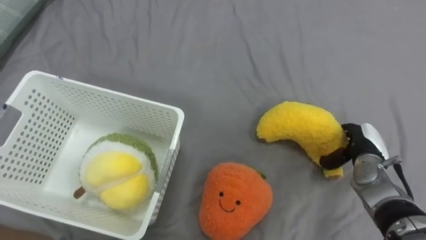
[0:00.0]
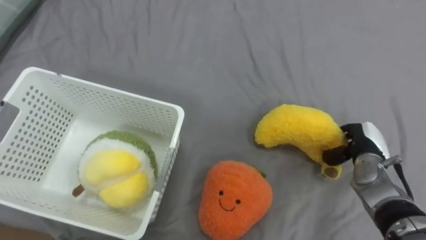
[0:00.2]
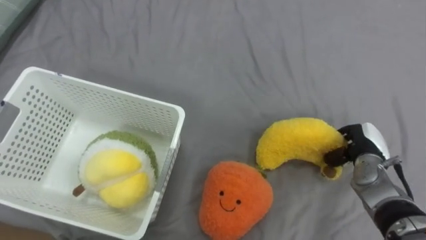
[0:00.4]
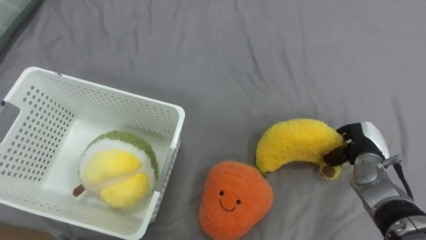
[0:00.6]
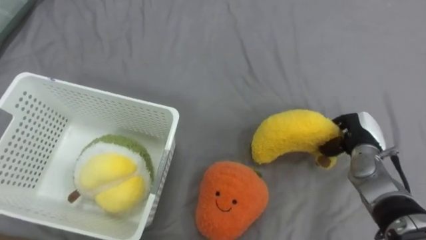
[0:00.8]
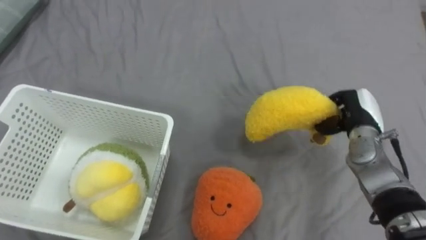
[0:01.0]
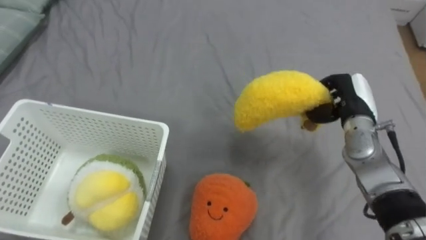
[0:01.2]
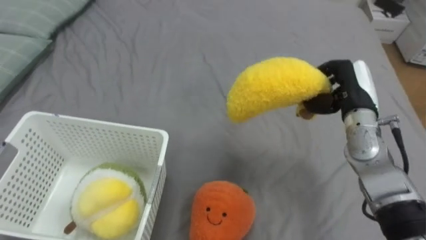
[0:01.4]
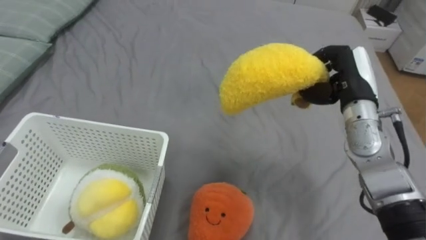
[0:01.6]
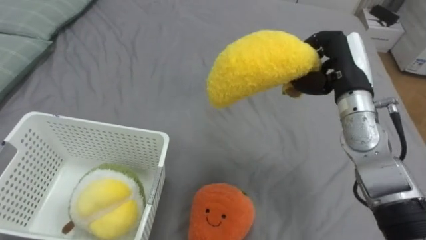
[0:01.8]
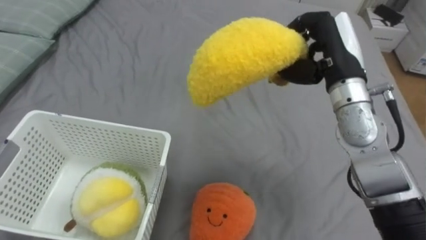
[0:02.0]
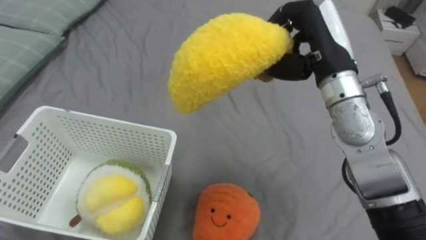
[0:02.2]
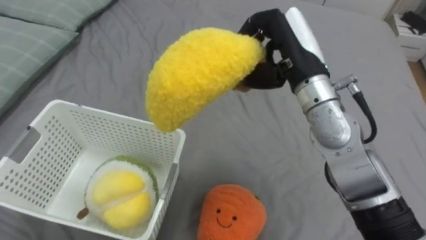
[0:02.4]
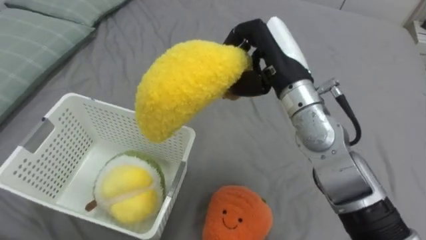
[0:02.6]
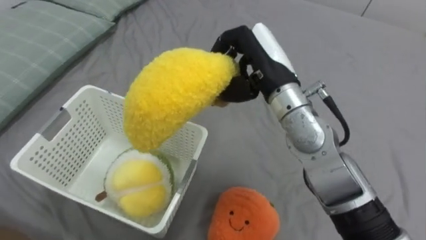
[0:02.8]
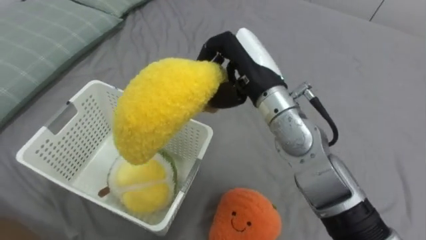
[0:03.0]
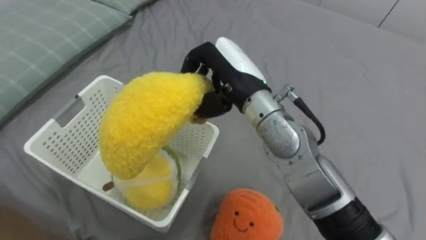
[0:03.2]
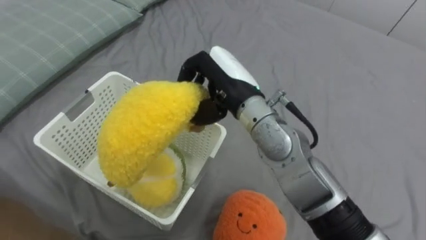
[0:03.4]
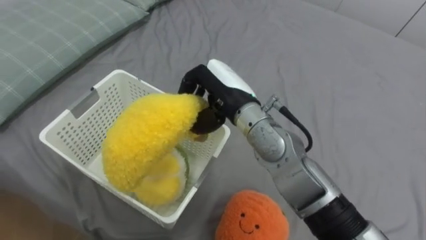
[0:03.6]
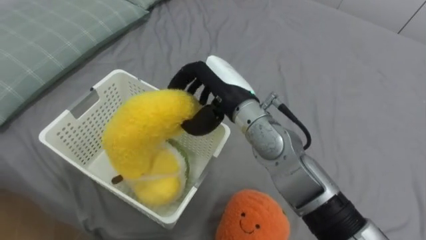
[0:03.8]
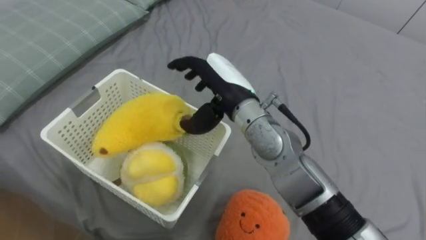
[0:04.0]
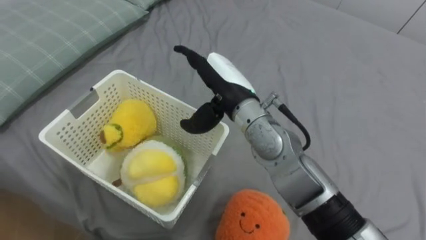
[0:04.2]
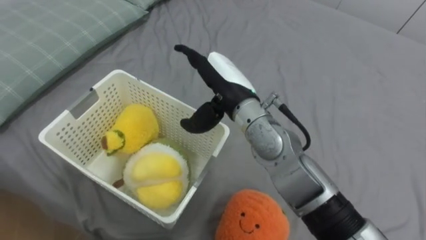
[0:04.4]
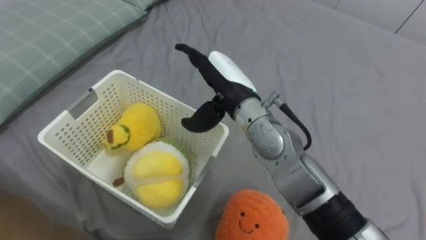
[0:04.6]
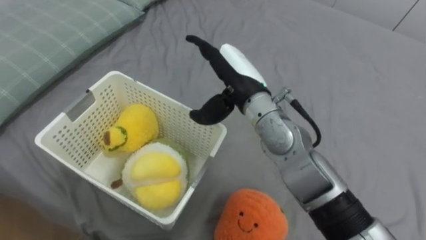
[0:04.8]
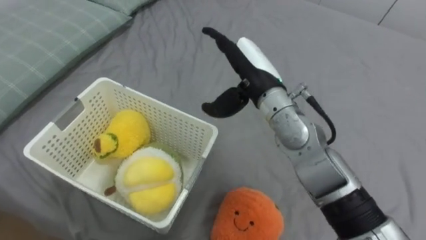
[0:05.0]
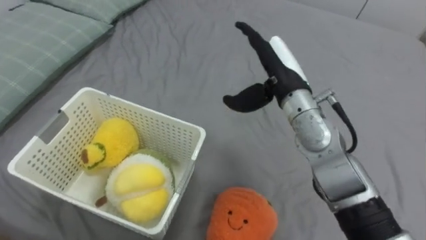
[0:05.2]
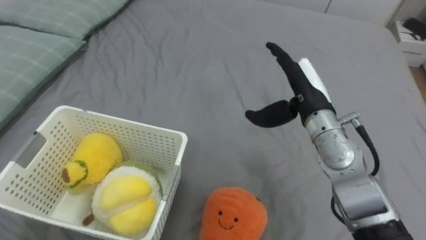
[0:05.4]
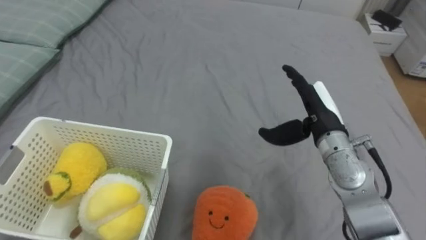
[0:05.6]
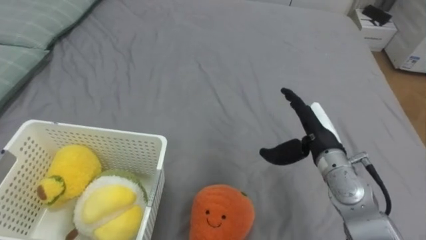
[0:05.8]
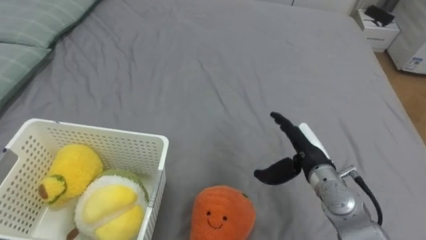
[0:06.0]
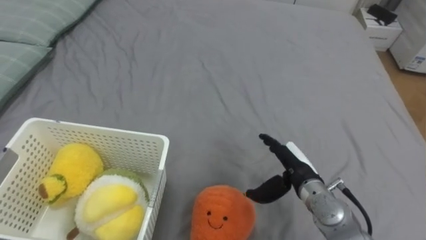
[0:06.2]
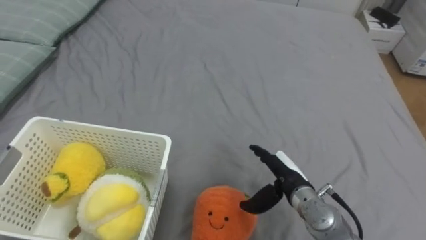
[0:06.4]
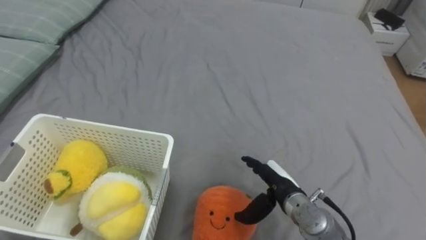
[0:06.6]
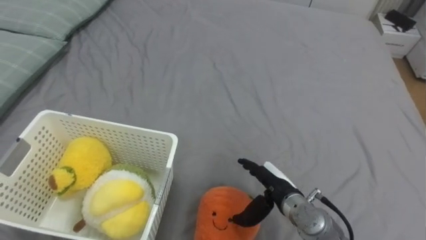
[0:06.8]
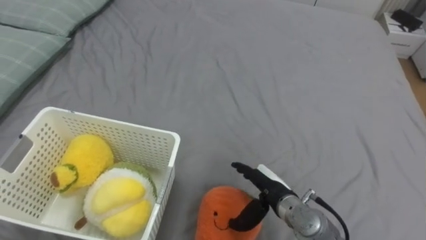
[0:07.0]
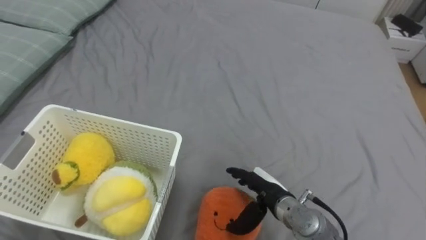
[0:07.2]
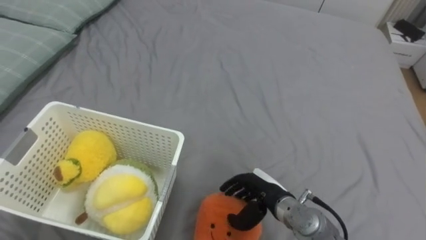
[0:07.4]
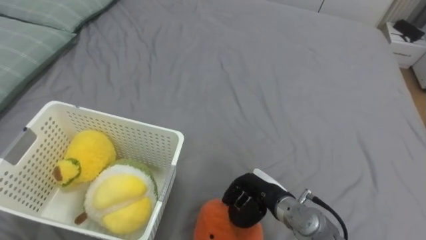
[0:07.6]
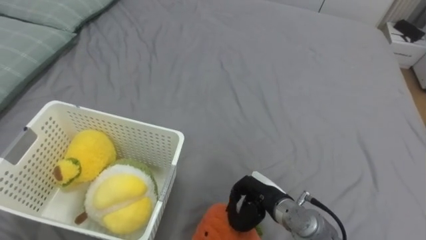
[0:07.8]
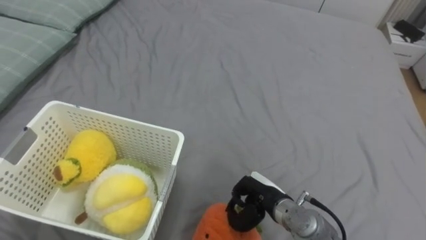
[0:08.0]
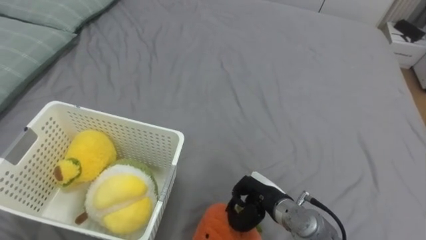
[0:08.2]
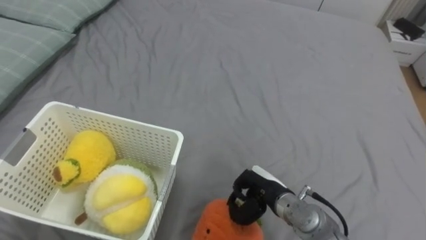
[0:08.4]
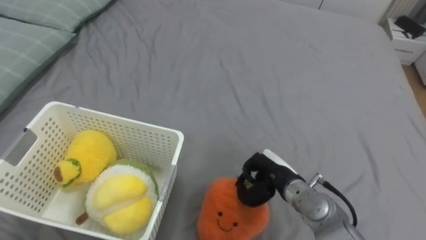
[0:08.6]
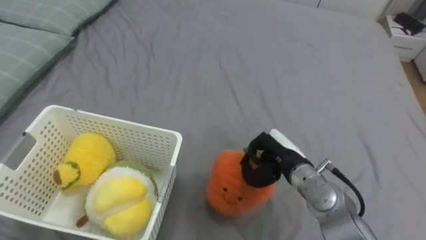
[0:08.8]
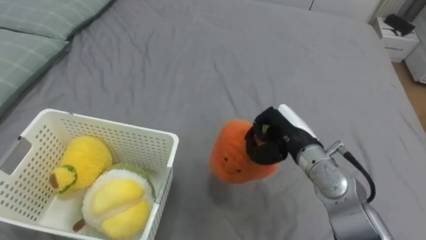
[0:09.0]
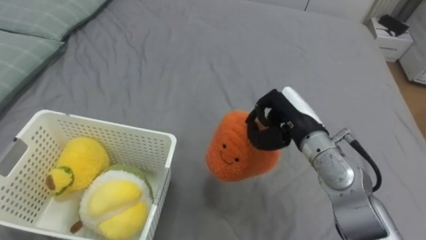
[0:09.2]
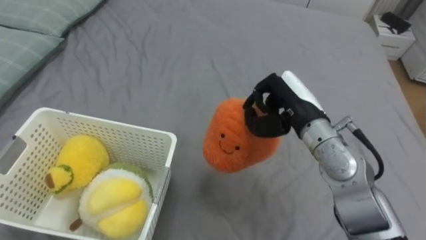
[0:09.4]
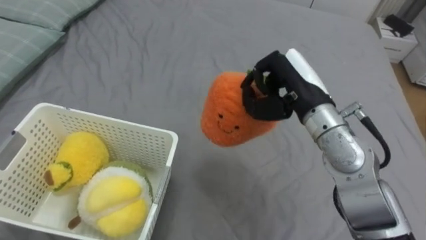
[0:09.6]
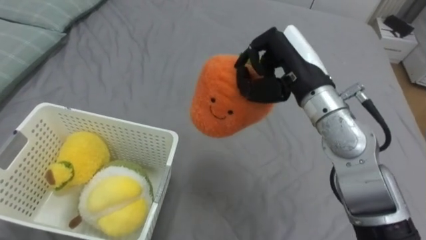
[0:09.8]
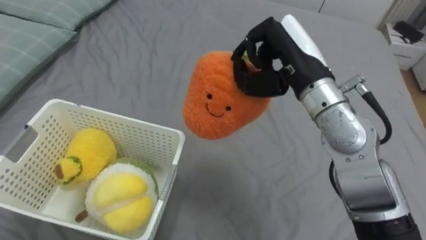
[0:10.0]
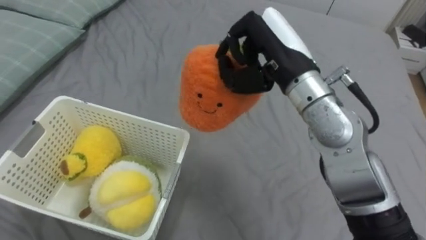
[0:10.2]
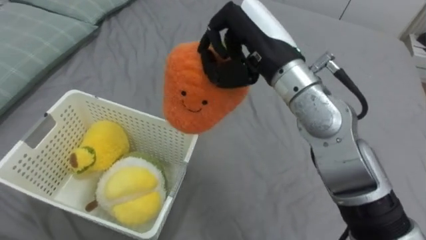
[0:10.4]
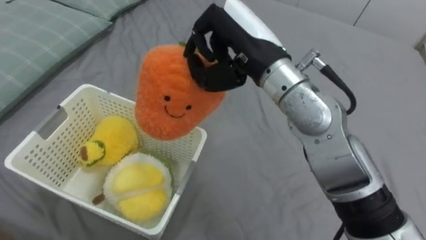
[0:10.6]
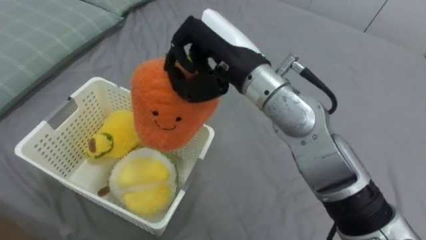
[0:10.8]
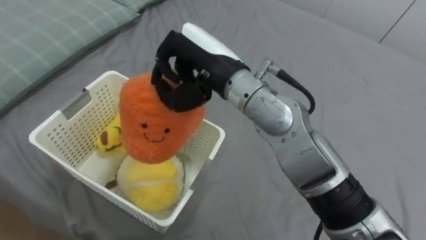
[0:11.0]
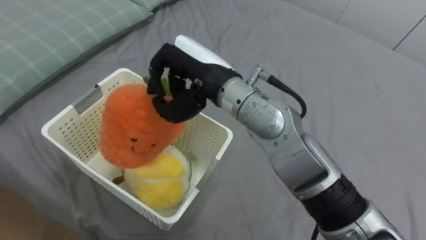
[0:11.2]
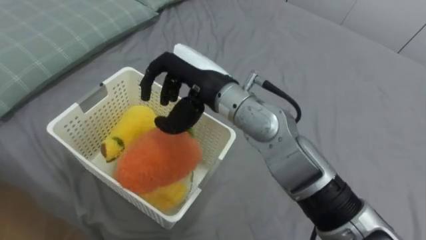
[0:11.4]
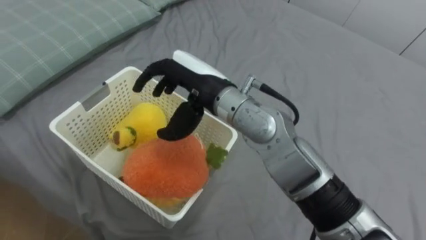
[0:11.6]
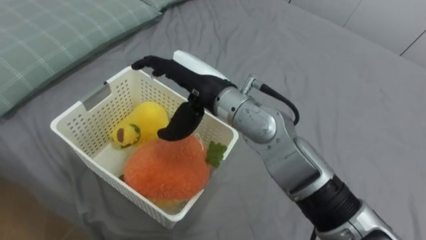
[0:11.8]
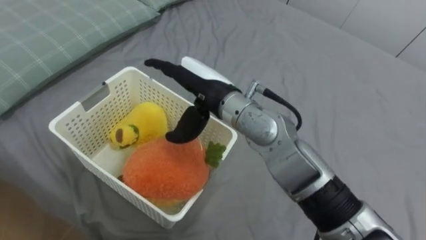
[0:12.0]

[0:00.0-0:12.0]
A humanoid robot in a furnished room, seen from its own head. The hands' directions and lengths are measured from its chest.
Task of the whole recording: Put the toys on the bed into the basket on the left.
0.0 to 1.6 s: The right hand goes approximately 15 cm upward and to the left, and closes up.
1.6 to 3.0 s: The right hand travels to the left by about 20 cm.
3.0 to 4.4 s: The right hand shifts by roughly 5 cm, and opens its fingers.
4.4 to 6.0 s: The right hand heads to the right and downward, covering about 20 cm.
6.0 to 7.6 s: The right hand is displaced downward, to the left and backward by some 10 cm, and closes up.
7.6 to 9.0 s: The right hand moves upward and forward, roughly 15 cm.
9.0 to 10.4 s: The right hand is displaced upward and to the left by about 20 cm.
10.4 to 12.0 s: The right hand shifts roughly 10 cm to the left and downward, and opens.

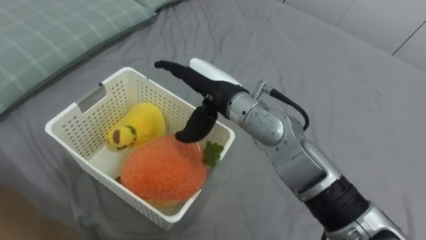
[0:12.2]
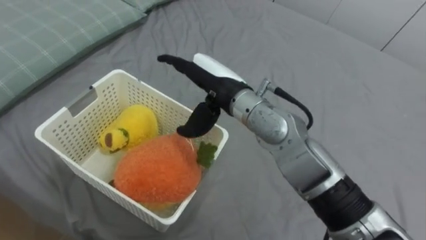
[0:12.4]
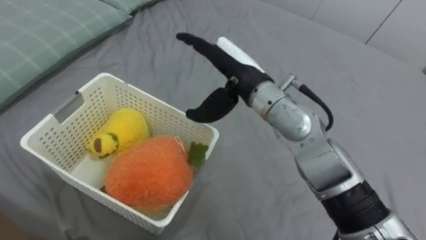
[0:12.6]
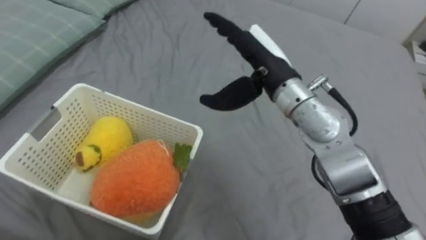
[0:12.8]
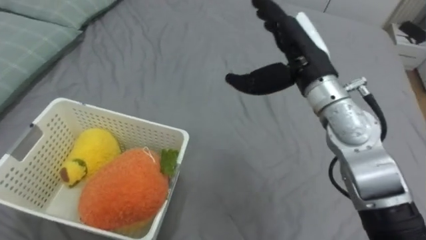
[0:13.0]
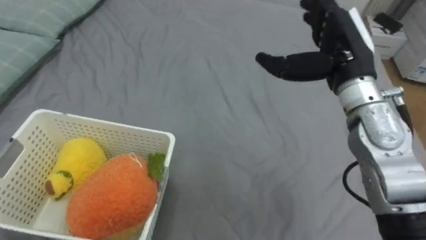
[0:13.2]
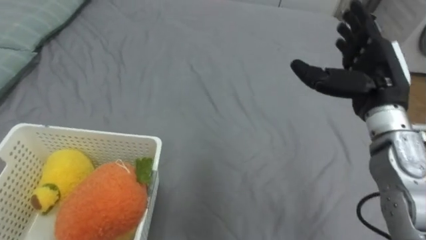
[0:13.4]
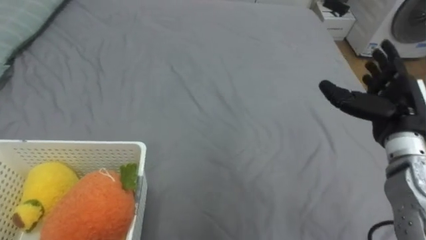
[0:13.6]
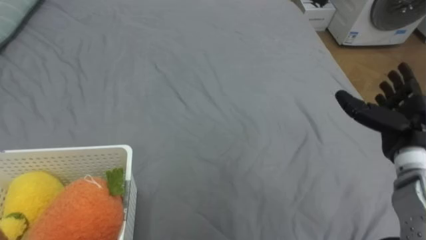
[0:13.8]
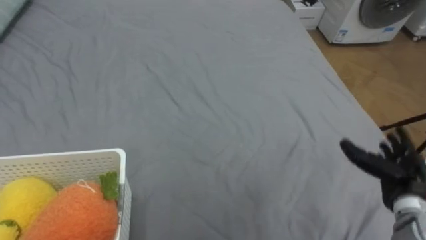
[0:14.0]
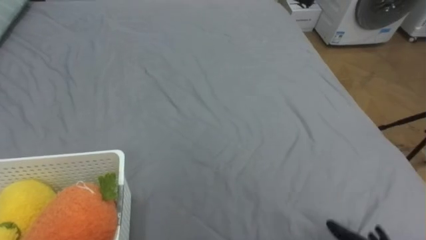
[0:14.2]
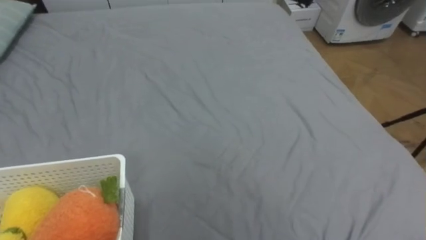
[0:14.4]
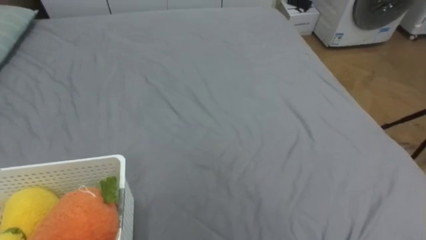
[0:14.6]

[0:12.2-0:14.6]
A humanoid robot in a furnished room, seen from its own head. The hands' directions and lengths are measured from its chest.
Task of the whole recording: Put the toys on the bed into the basket on the left.
12.2 to 13.4 s: The right hand heads to the right, covering about 25 cm.

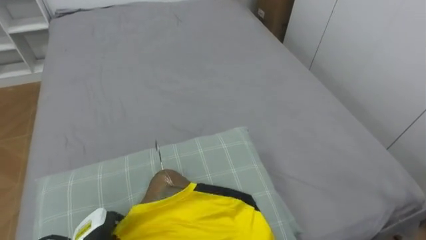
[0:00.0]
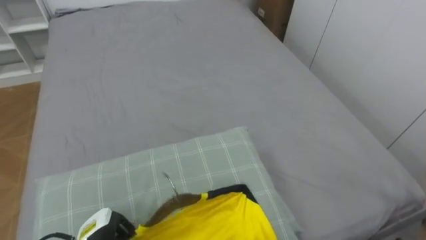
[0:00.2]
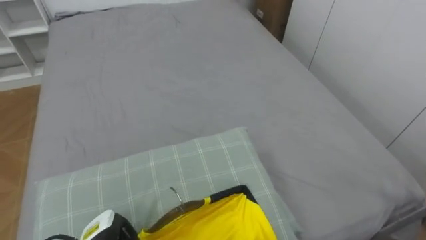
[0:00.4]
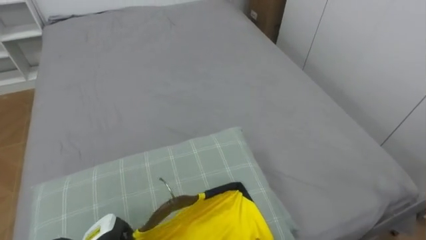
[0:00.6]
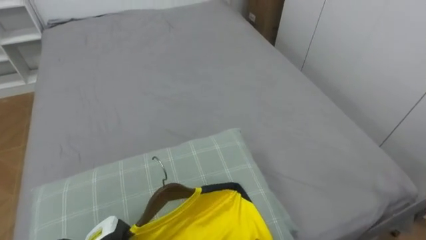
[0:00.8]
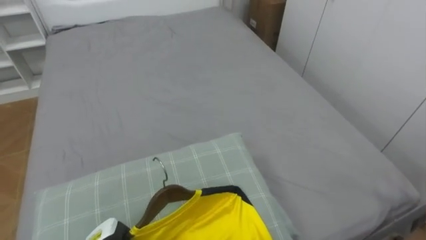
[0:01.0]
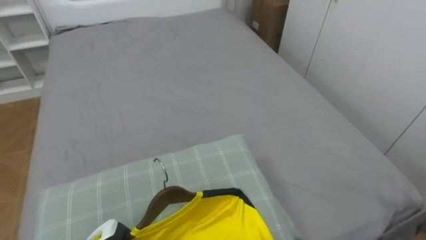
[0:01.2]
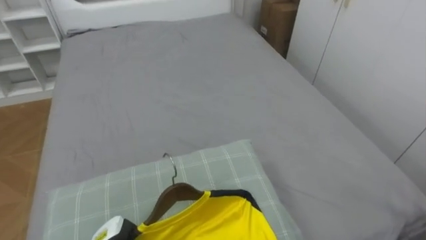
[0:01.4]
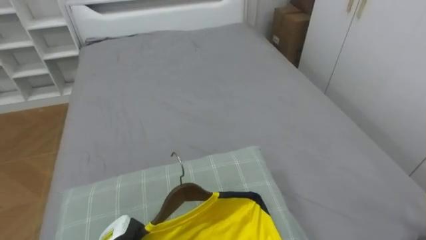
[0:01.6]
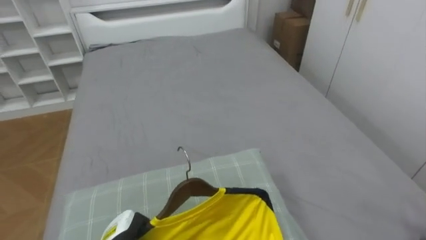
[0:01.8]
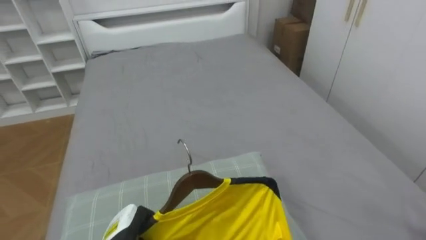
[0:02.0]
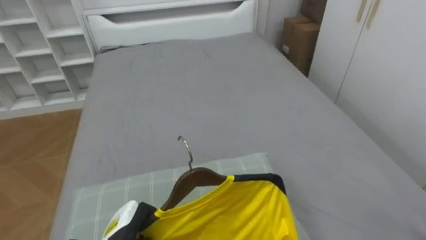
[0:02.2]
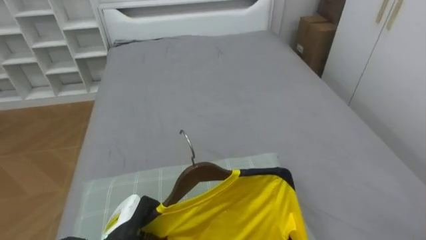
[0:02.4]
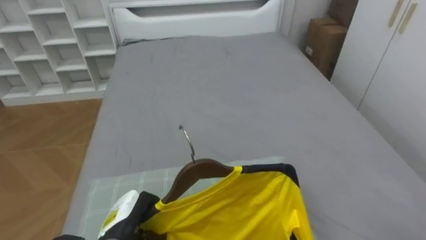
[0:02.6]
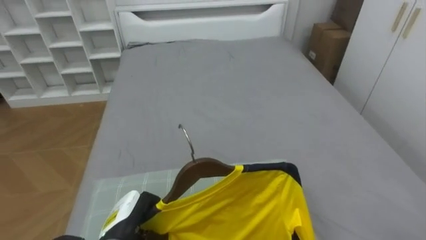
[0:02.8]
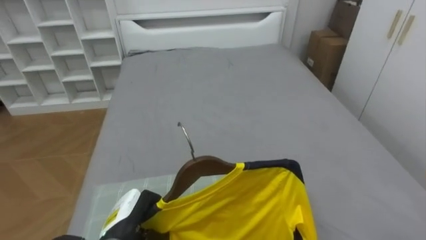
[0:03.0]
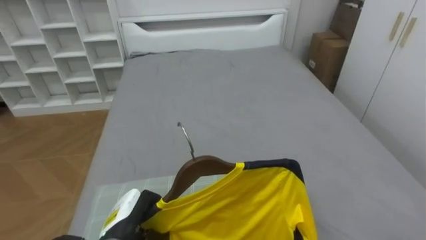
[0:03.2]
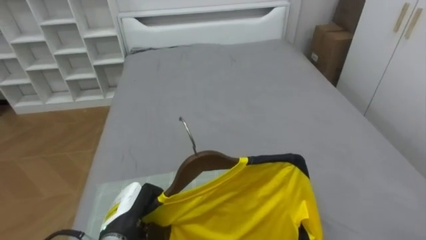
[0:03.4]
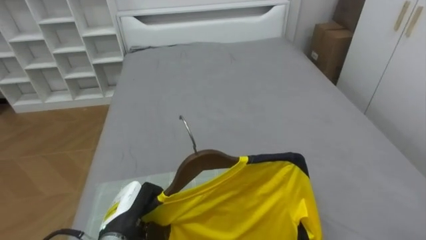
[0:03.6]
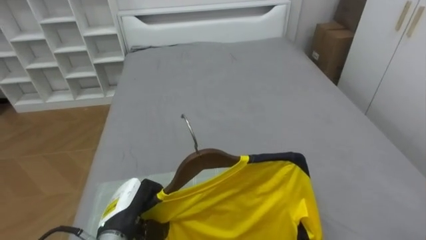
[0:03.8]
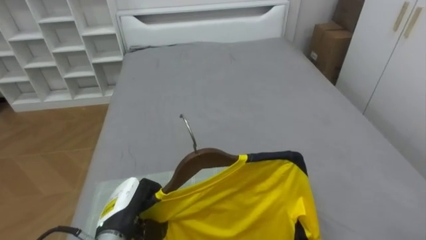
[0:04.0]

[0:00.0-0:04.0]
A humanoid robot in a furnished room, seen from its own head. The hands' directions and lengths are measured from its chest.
Task of the whole recording: Pick up the yellow shirt on the bed and hang it on the clothes rack on the right.
0.0 to 1.4 s: The left hand closes up.
1.4 to 2.6 s: The left hand moves upward, about 10 cm.
